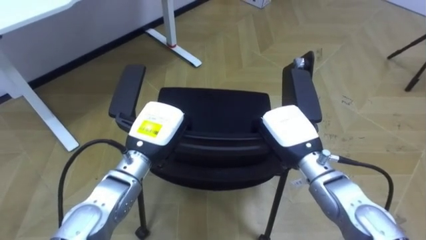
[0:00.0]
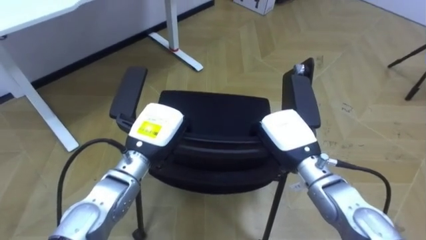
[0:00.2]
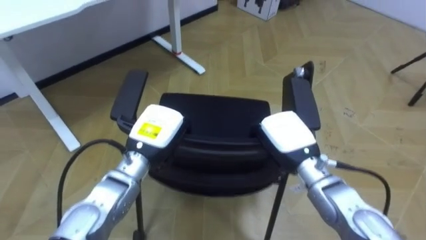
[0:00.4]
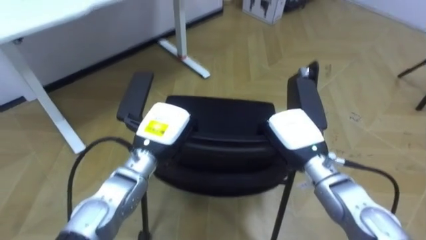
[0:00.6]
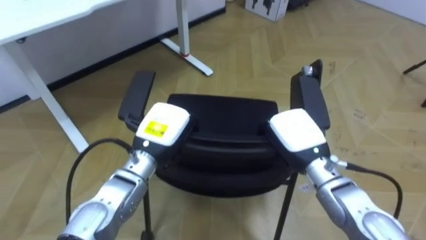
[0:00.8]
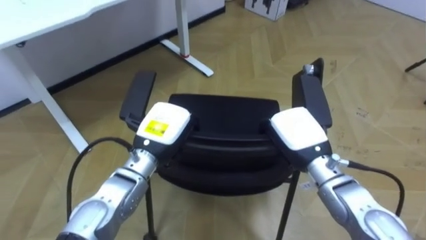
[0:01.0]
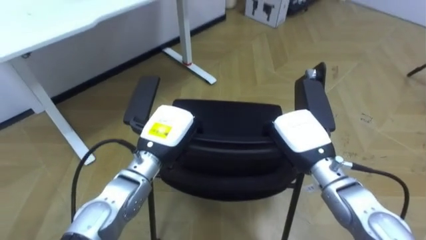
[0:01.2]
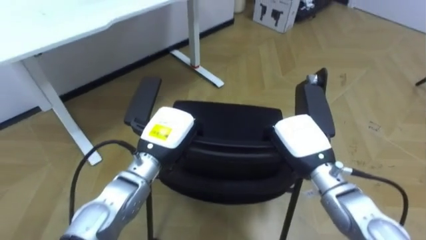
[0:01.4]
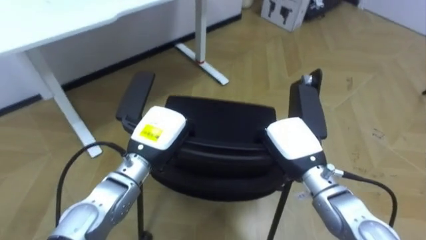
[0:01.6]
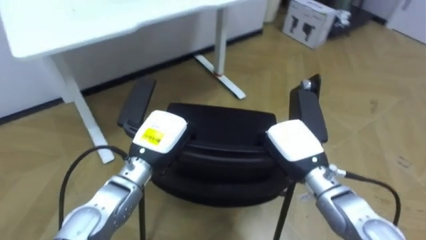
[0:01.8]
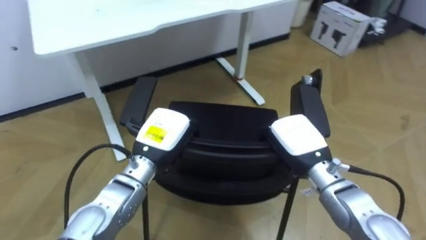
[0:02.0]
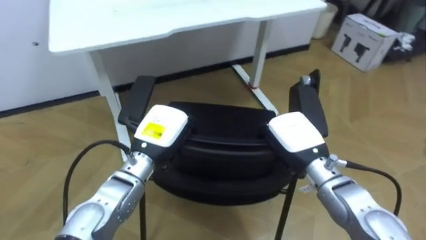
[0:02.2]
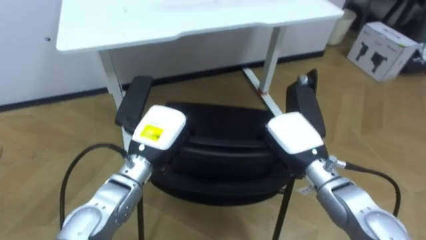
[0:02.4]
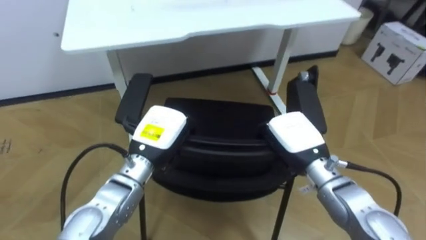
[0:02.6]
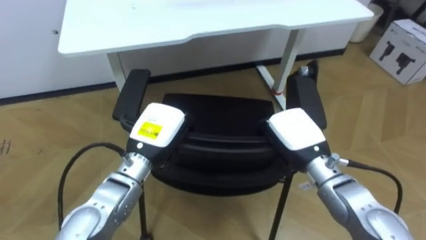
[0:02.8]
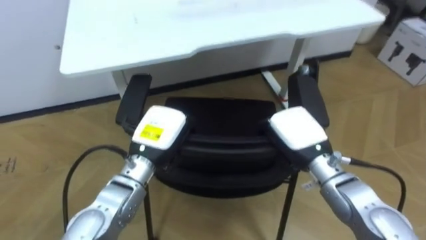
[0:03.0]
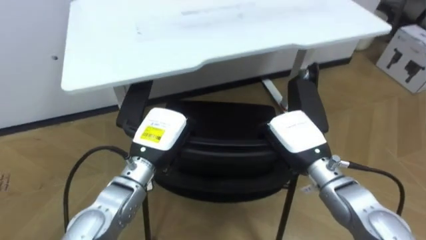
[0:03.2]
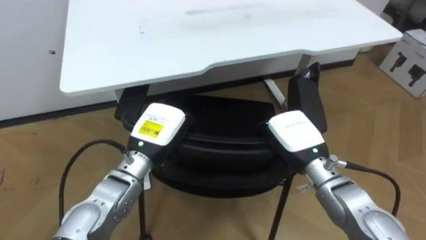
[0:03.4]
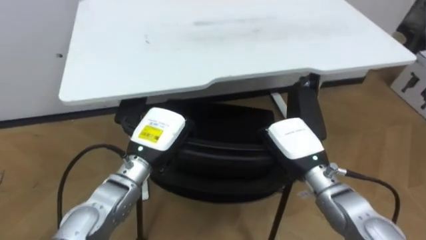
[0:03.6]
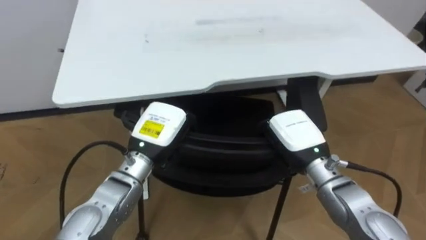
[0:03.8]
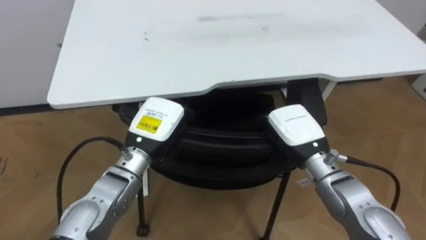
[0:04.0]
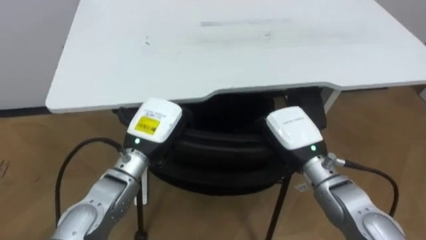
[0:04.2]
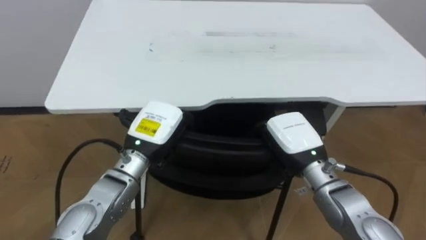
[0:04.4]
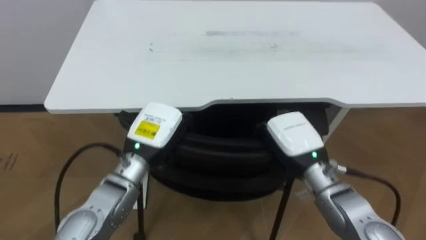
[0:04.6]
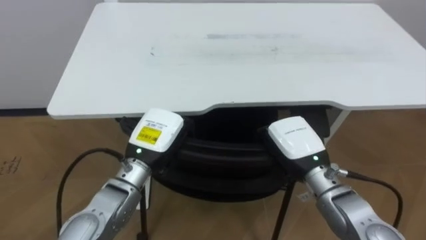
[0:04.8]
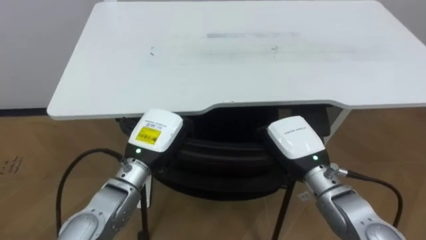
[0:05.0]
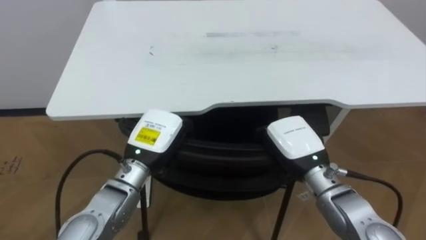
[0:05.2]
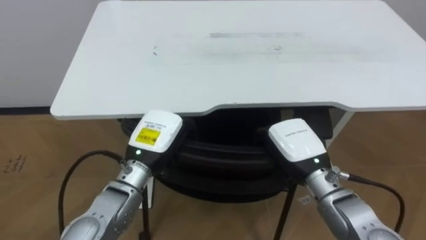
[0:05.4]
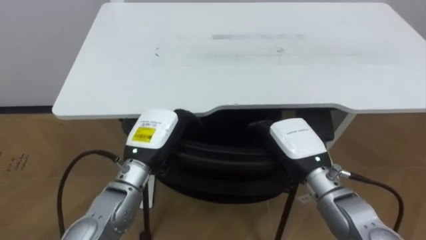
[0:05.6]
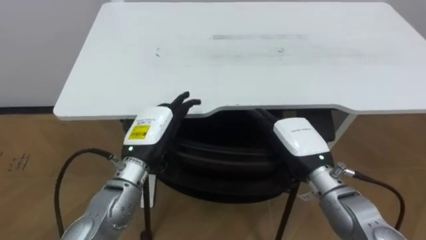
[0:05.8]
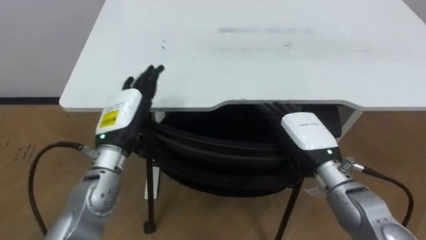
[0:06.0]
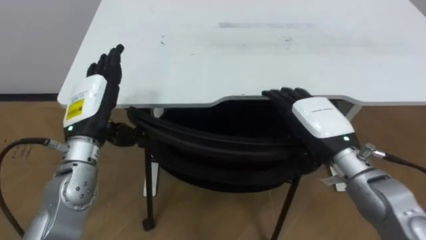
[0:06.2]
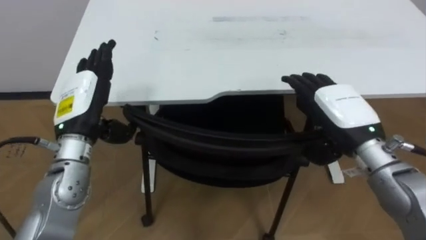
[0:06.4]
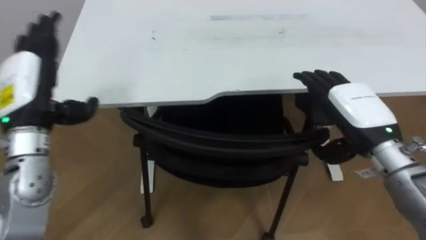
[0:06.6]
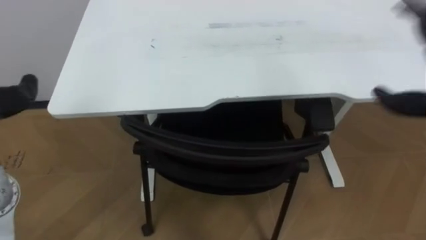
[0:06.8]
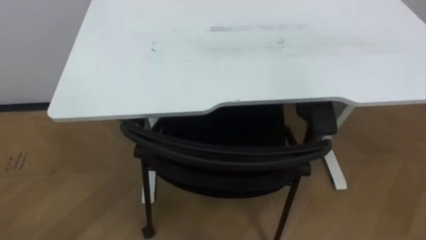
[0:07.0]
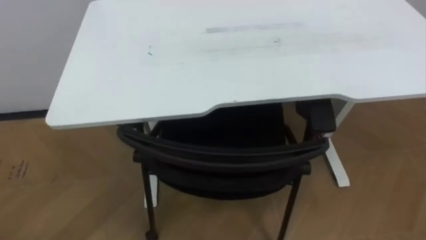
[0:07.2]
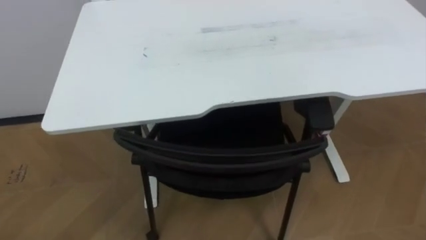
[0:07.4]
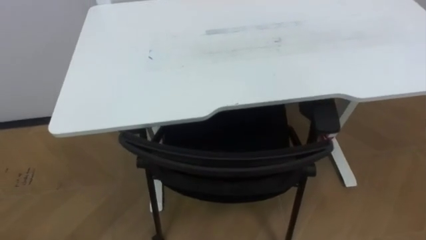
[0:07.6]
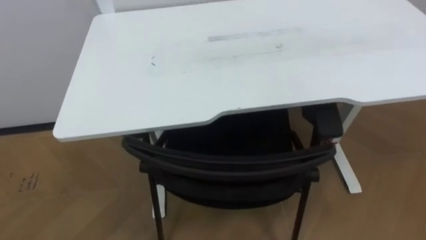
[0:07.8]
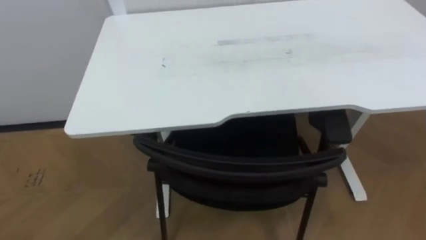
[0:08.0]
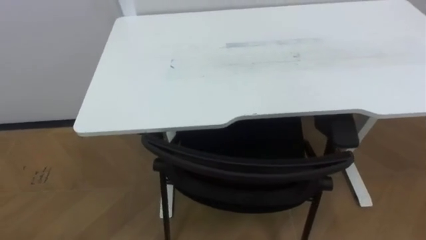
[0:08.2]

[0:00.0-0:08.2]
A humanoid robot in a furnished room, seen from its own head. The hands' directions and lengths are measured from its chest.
Task of the whole recording: Push the chair under the table.
0:01.6 to 0:03.2: The robot faces about 20 degrees further to its left.
0:03.2 to 0:05.0: The robot rotates some 20 degrees to its left.
0:05.0 to 0:06.6: The left hand is displaced to the left and upward by approximately 20 cm, and opens up, while the right hand shifts roughly 10 cm to the right and upward, and opens.

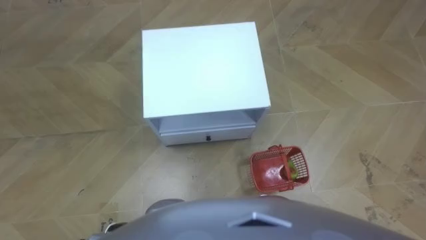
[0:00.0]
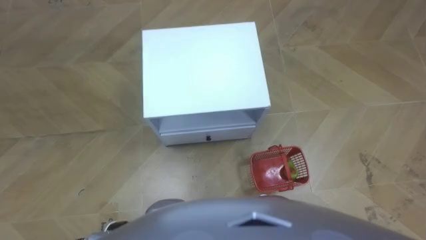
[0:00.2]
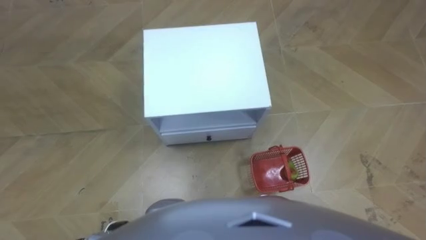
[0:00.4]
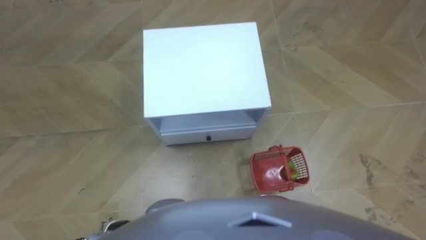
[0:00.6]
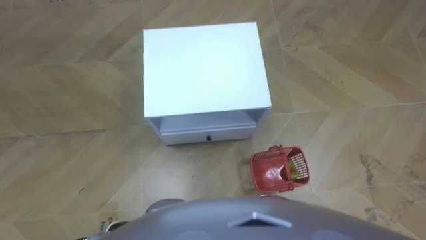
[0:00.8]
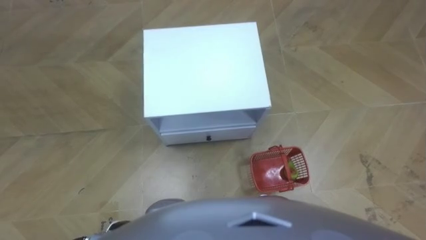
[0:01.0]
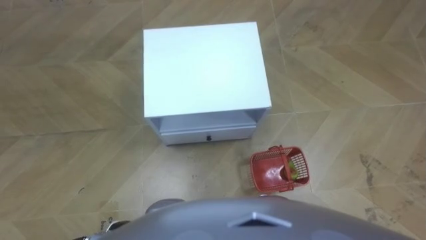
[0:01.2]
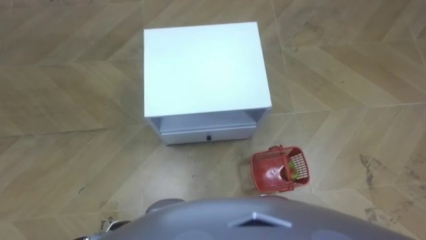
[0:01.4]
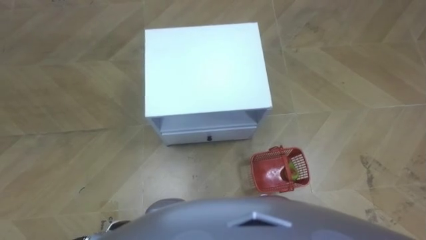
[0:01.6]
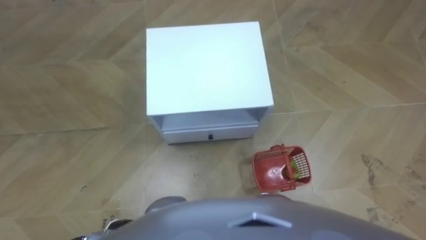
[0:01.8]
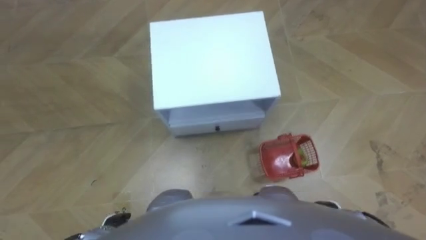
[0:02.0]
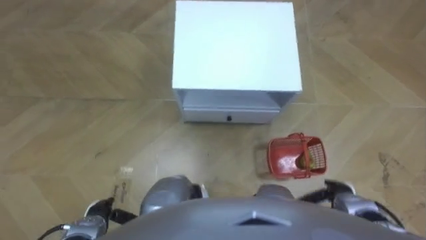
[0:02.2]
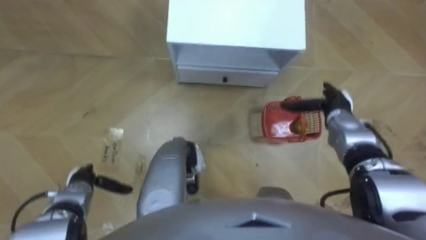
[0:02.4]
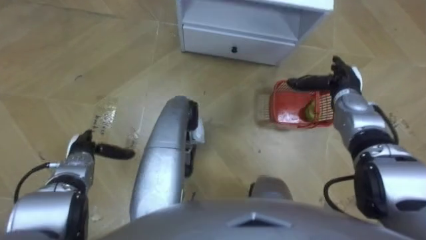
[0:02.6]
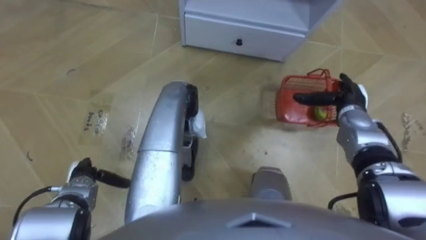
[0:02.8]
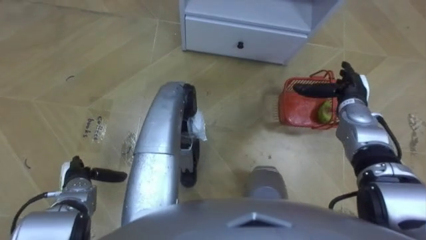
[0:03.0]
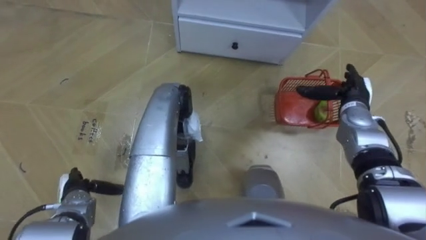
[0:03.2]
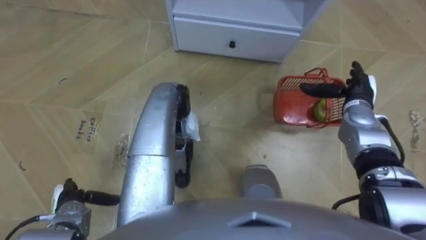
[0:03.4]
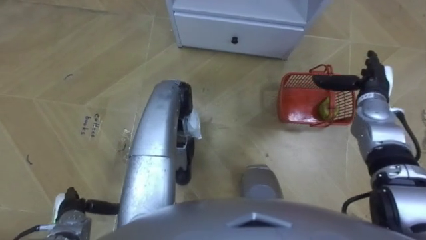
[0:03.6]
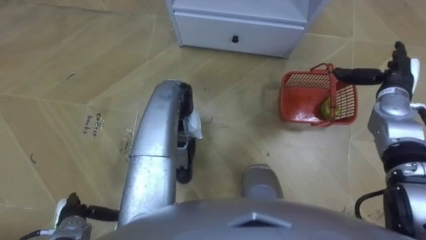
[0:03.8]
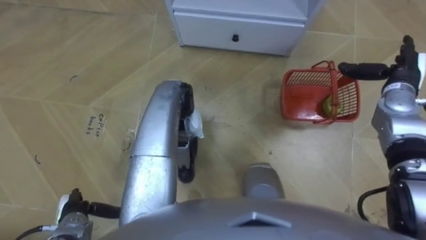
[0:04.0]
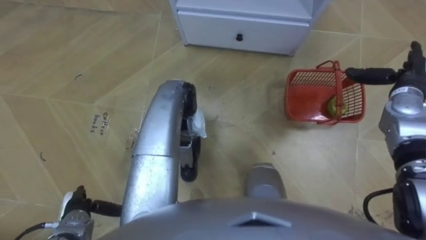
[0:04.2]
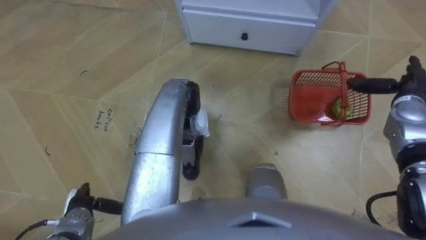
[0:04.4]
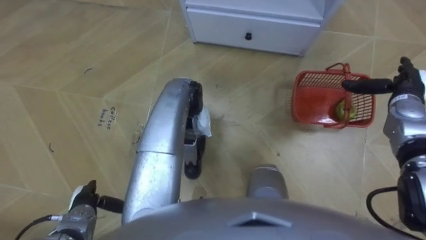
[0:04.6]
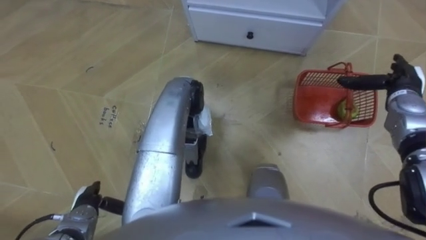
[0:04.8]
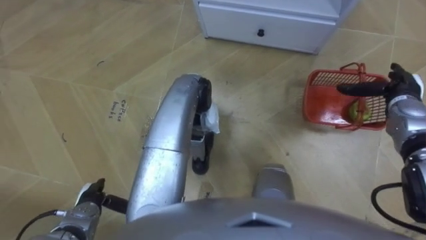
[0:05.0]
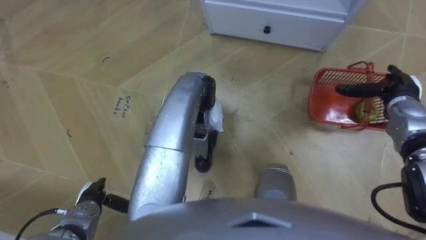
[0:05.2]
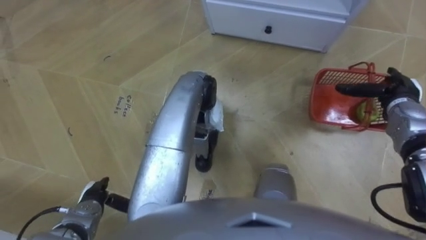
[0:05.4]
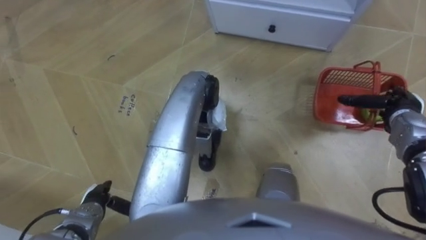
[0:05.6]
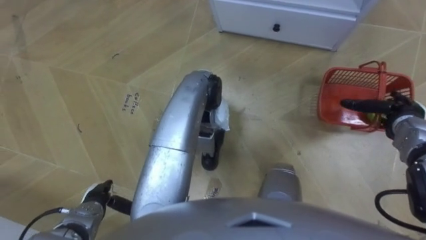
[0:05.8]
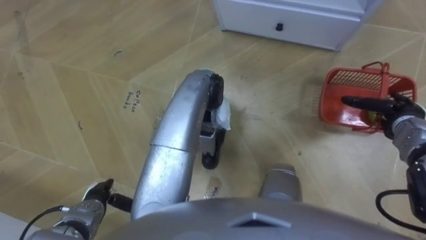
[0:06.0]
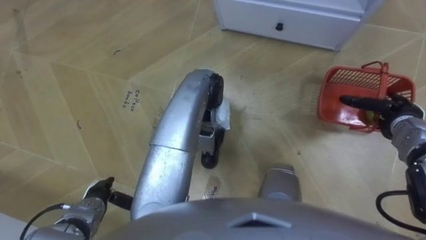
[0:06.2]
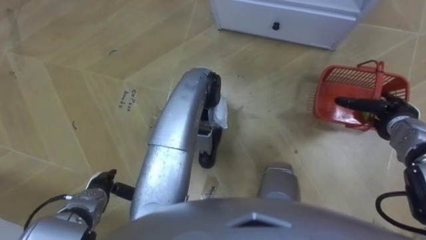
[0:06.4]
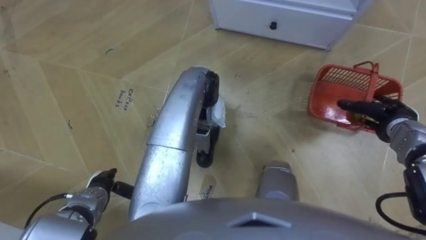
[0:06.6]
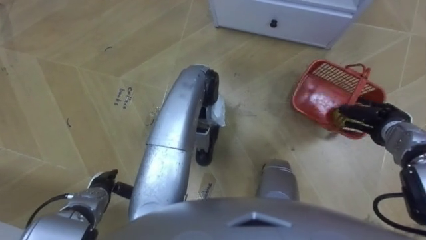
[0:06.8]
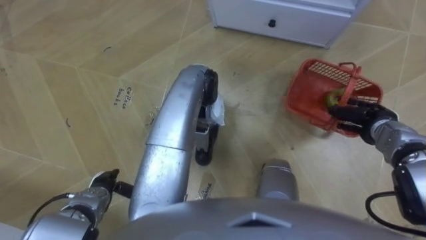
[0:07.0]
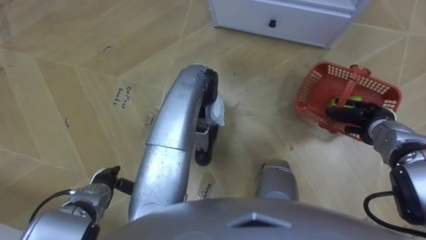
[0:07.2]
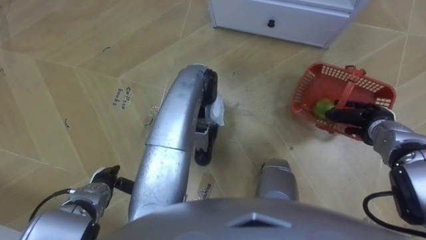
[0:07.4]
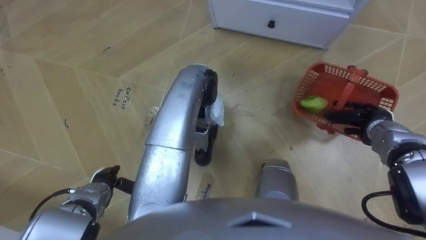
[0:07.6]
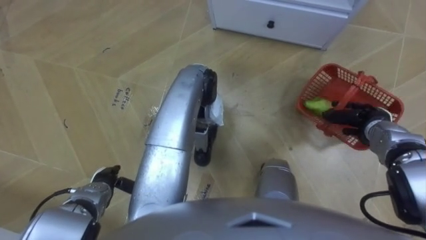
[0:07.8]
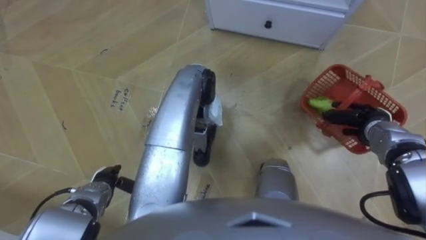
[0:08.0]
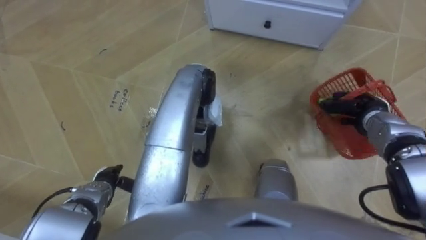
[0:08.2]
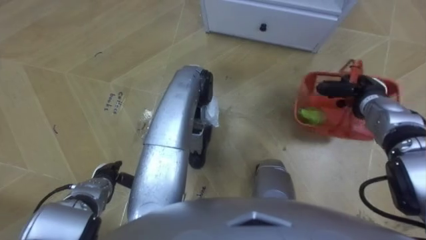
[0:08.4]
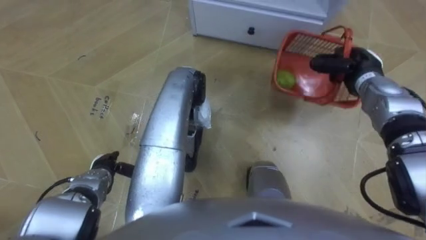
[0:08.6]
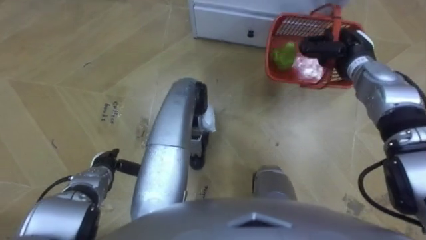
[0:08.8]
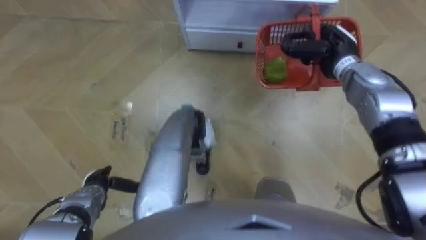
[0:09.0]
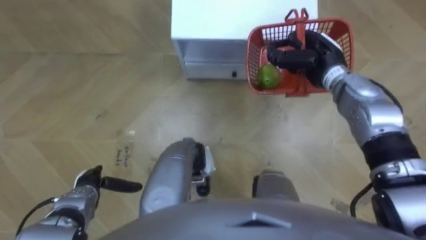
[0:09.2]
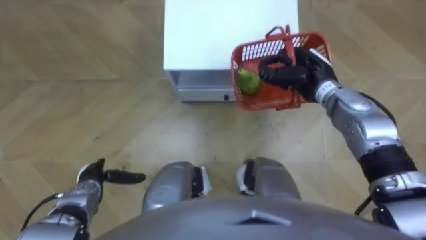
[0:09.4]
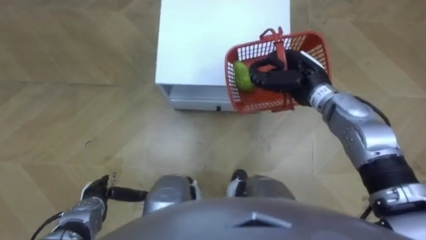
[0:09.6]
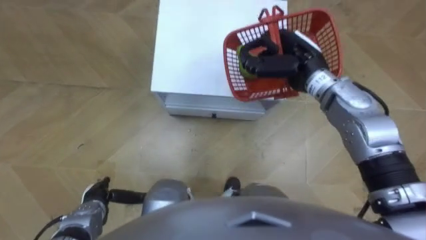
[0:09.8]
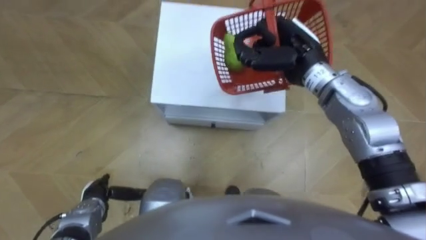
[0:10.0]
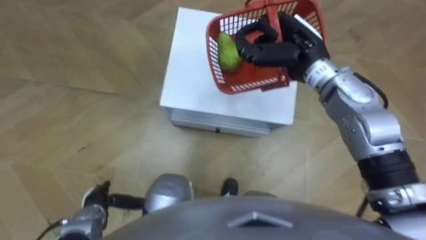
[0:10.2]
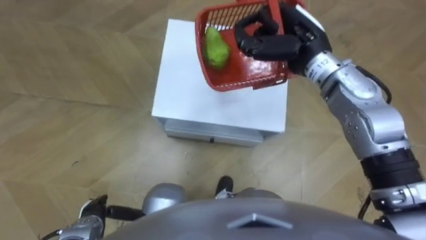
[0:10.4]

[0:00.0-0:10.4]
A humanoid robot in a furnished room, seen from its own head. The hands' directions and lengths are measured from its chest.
Task of the whole recording: Pick up the fruit basket from the floor and place it on the cabinet.
0:01.4 to 0:03.0: The left hand travels forward and to the left by approximately 15 cm. Meanwhile the right hand goes about 30 cm forward.
0:03.0 to 0:04.4: The right hand moves to the right, approximately 10 cm, while the left hand is displaced backward by some 5 cm.
0:04.4 to 0:06.0: The right hand changes place by approximately 5 cm.
0:06.0 to 0:07.4: The right hand shifts by roughly 5 cm, and closes.
0:07.4 to 0:09.0: The right hand moves forward, to the left and upward, roughly 20 cm.
0:09.0 to 0:10.4: The right hand is displaced to the left and upward by approximately 10 cm. Meanwhile the left hand is displaced backward by about 10 cm.
